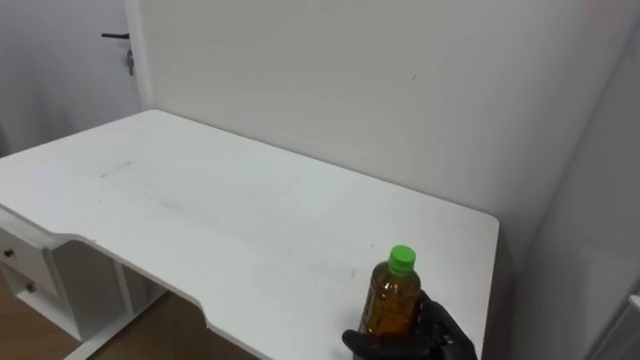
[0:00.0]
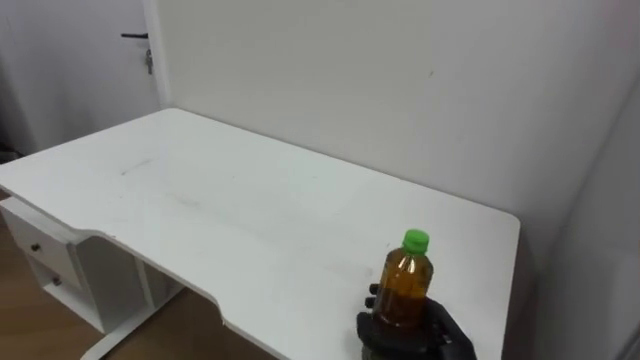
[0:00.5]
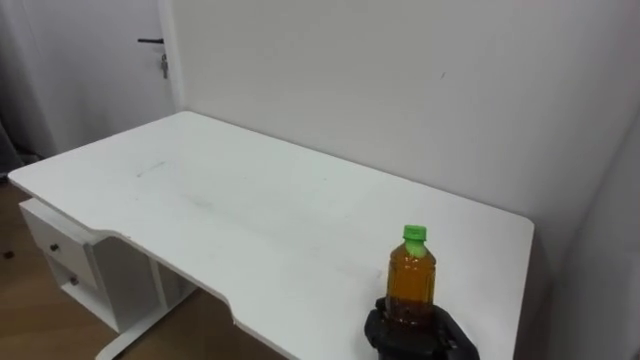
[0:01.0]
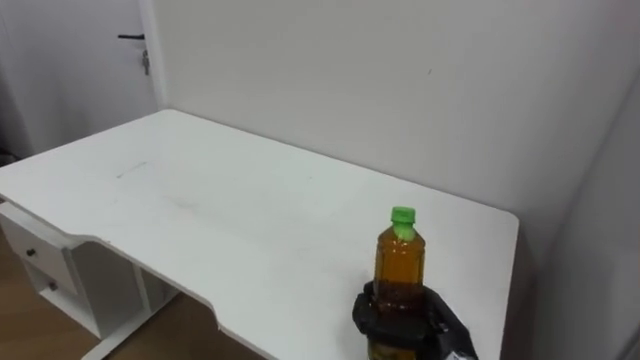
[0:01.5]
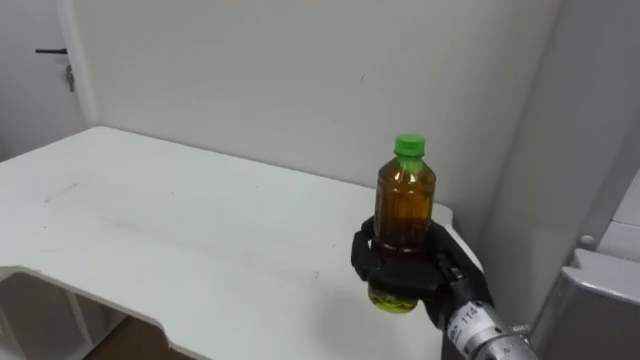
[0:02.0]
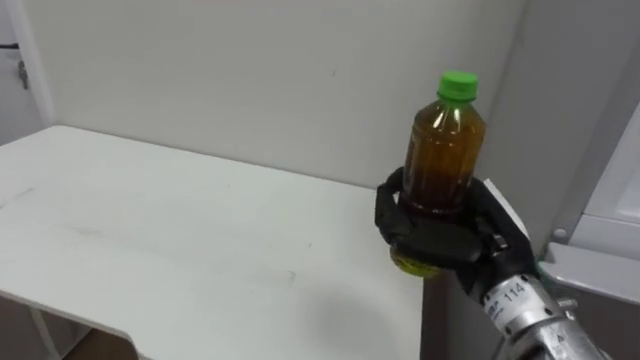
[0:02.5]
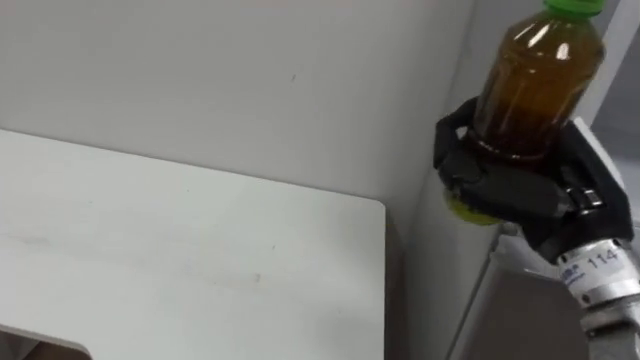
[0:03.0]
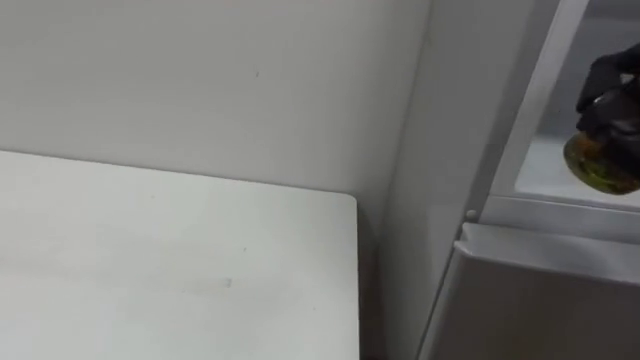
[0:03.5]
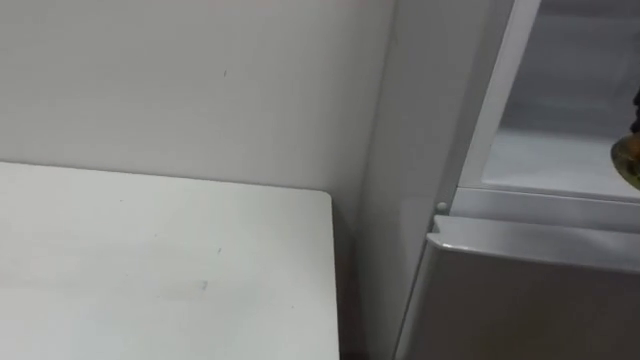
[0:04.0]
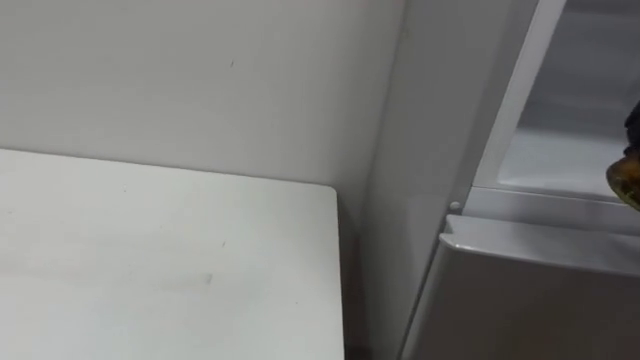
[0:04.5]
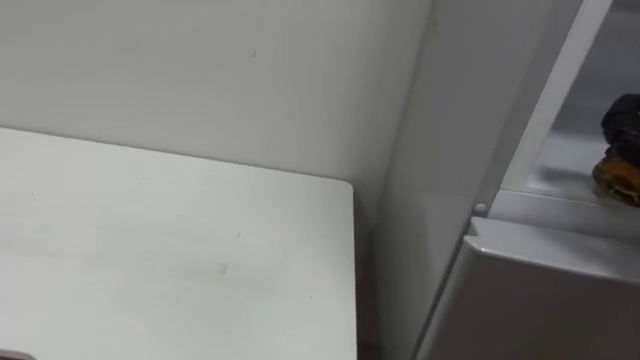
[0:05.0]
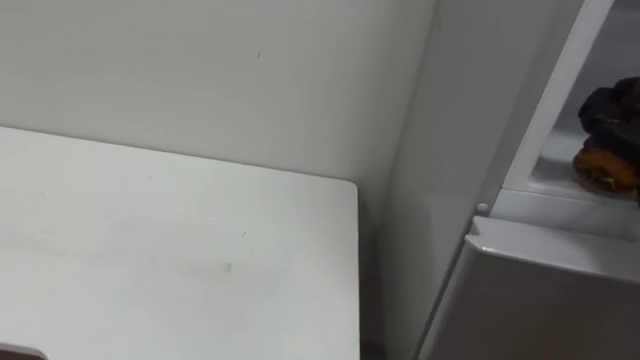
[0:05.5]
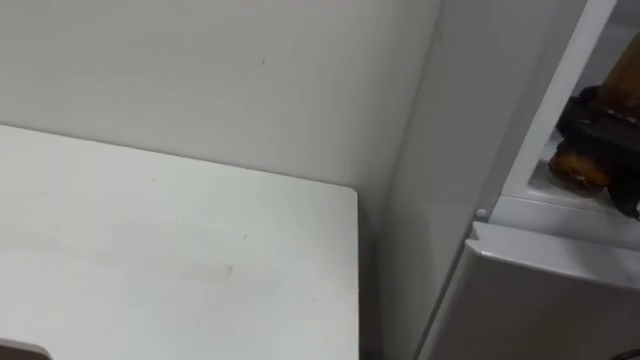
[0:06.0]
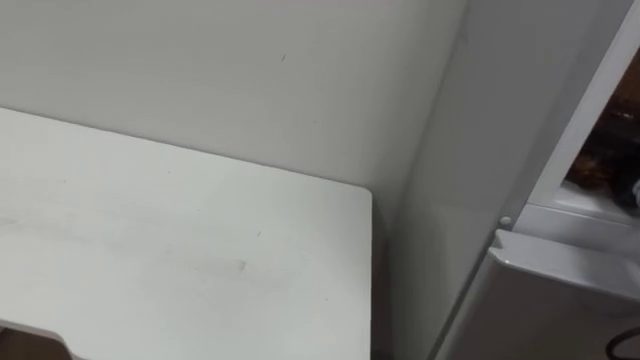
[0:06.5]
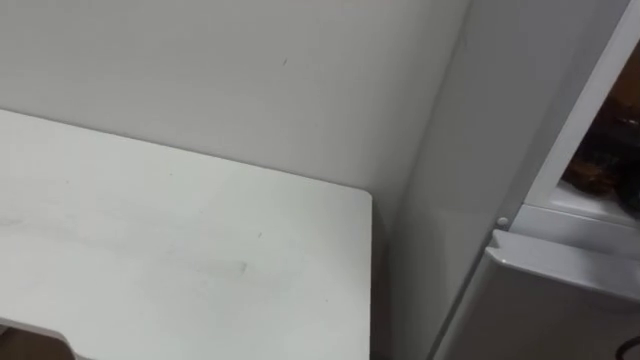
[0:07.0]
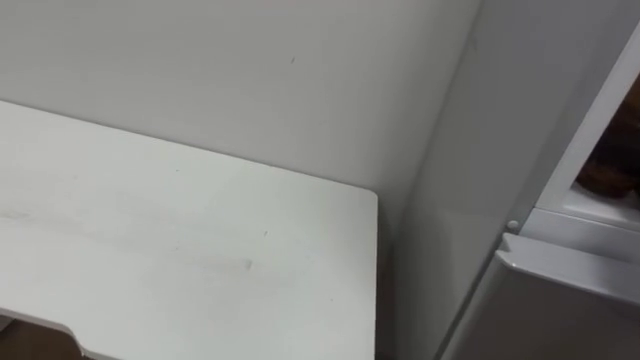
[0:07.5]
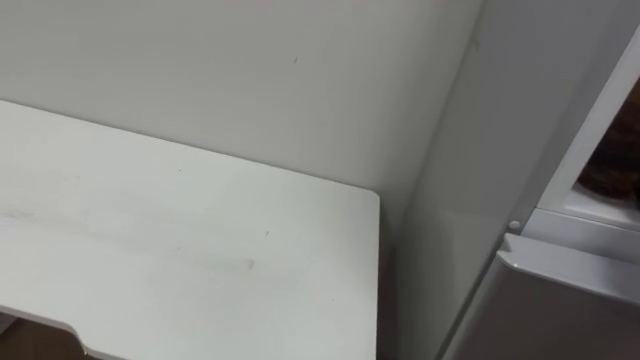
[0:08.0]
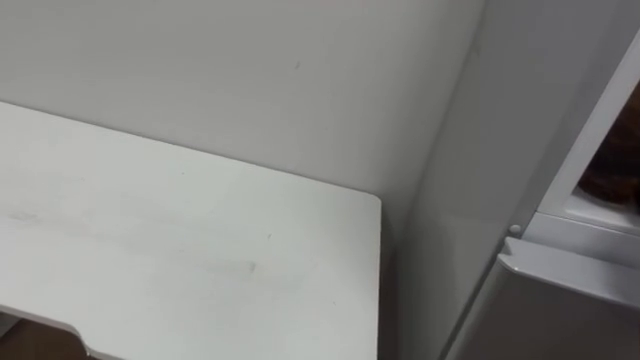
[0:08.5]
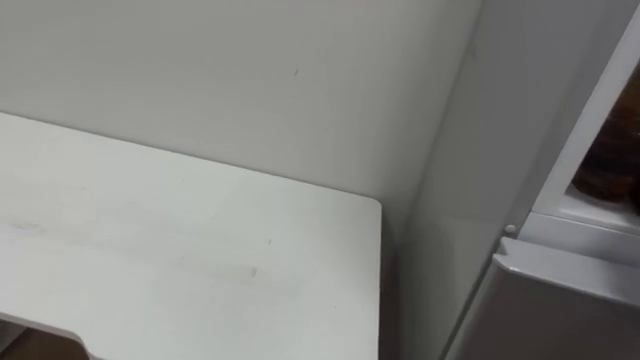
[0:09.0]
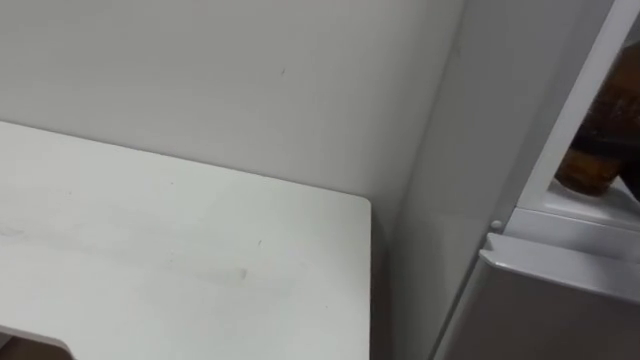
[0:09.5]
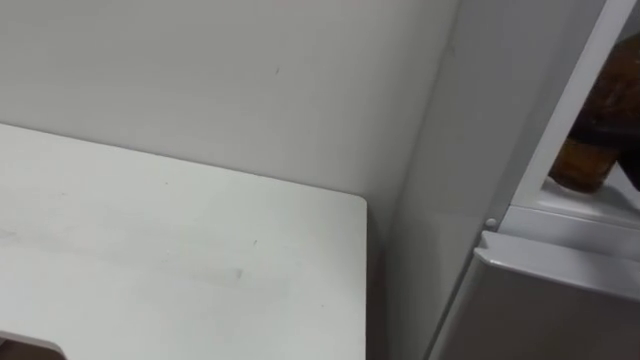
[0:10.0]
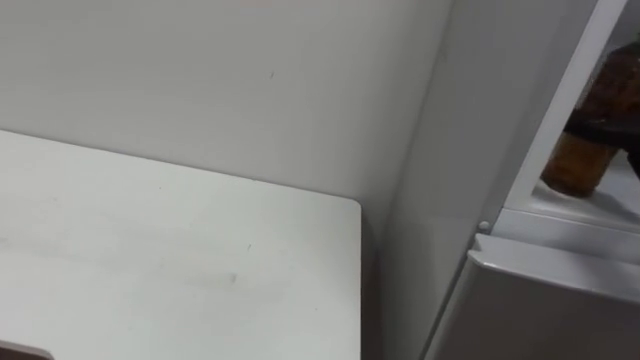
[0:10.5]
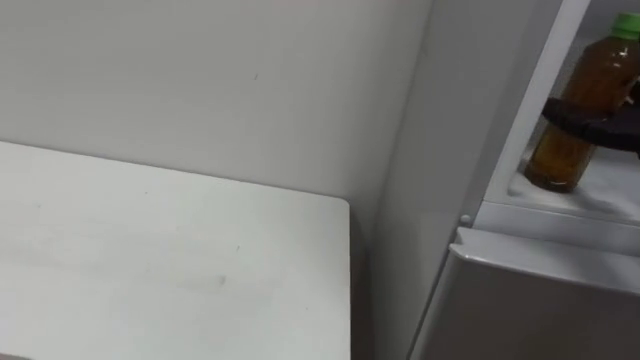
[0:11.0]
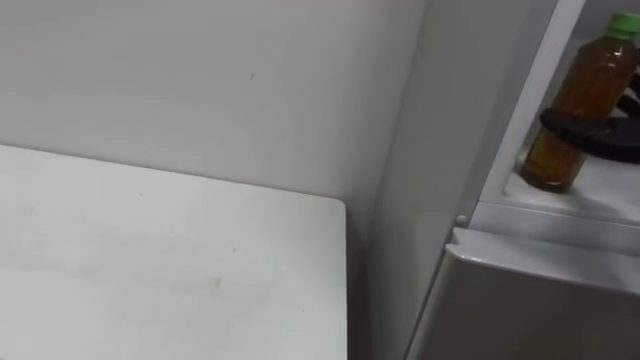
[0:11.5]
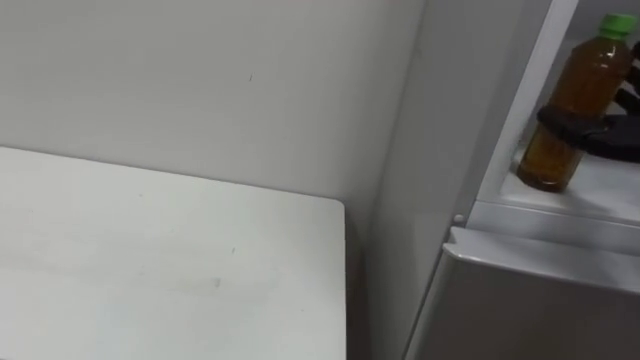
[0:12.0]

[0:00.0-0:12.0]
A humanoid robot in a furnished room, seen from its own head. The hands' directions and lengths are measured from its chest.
Task of the whole recording: Open the upper refrigerator door, put the drink from the table into the refrigerator, and then close the refrigerator door.
0:00.0 to 0:02.0: The right hand travels upward by roughly 10 cm, and closes its fingers.

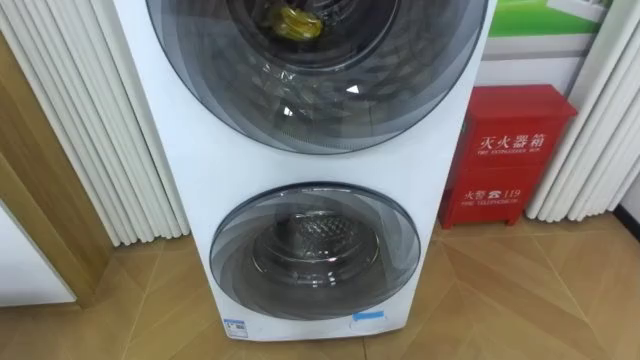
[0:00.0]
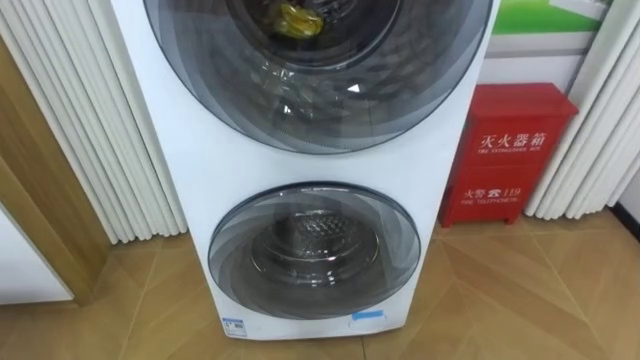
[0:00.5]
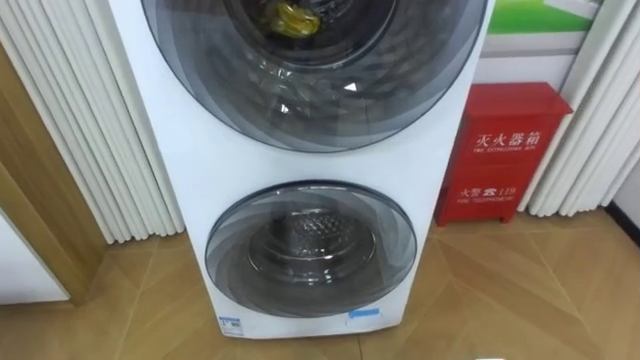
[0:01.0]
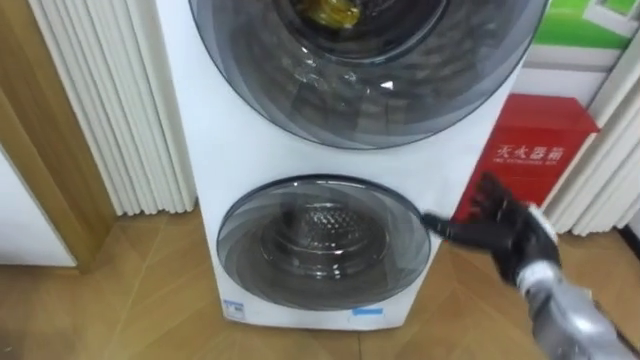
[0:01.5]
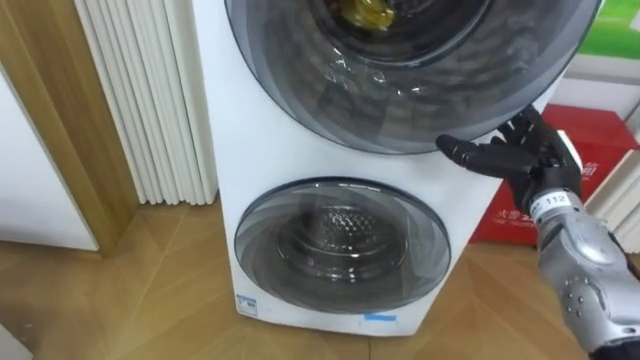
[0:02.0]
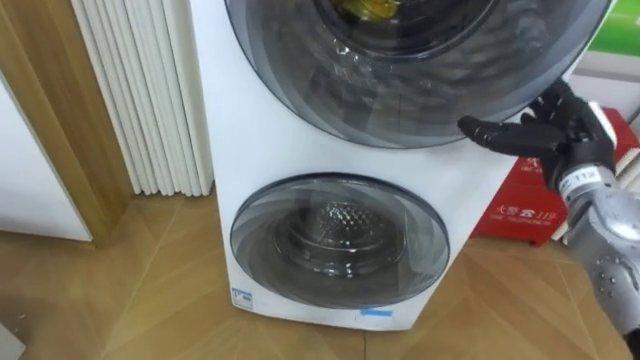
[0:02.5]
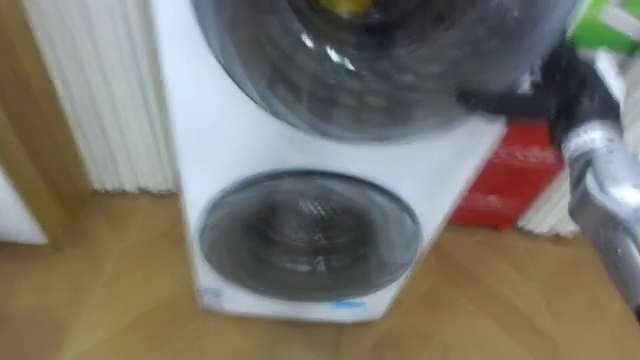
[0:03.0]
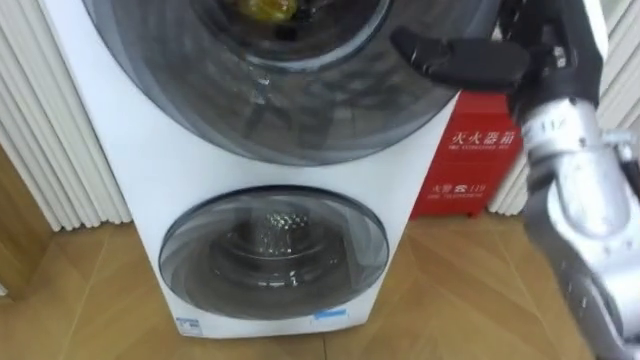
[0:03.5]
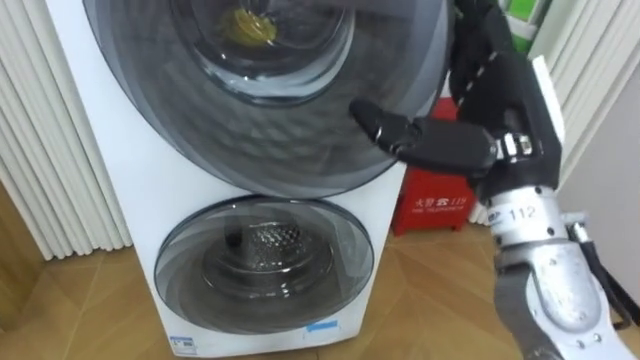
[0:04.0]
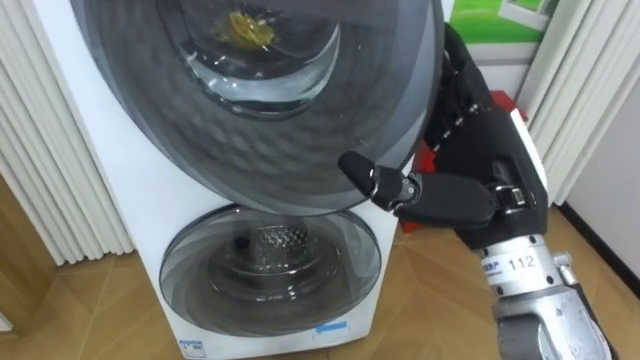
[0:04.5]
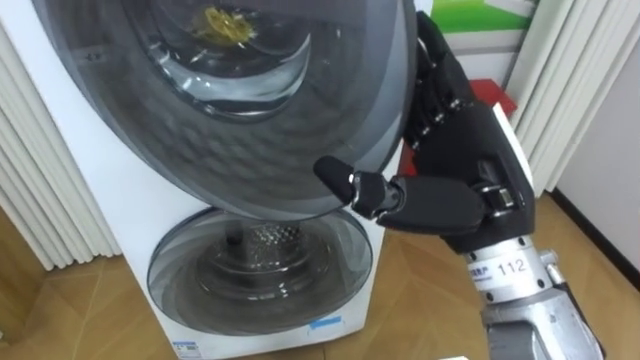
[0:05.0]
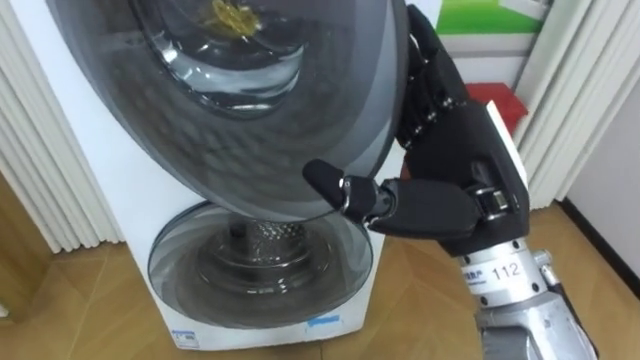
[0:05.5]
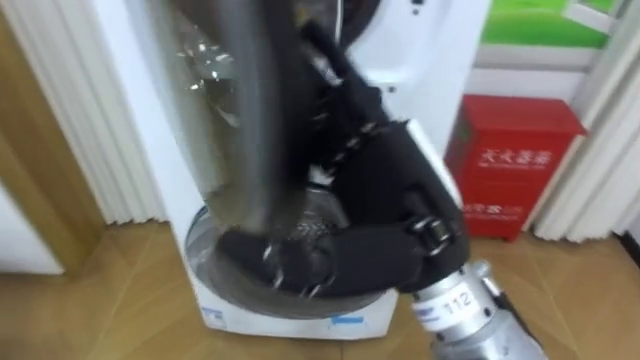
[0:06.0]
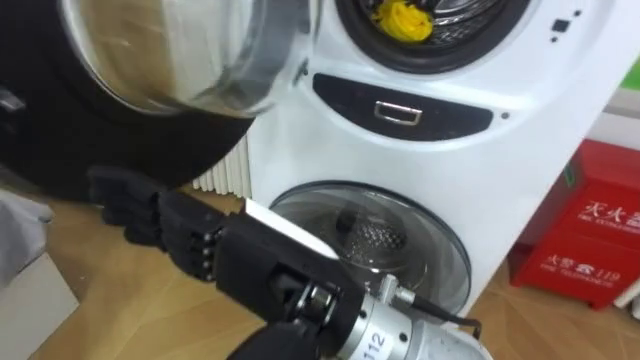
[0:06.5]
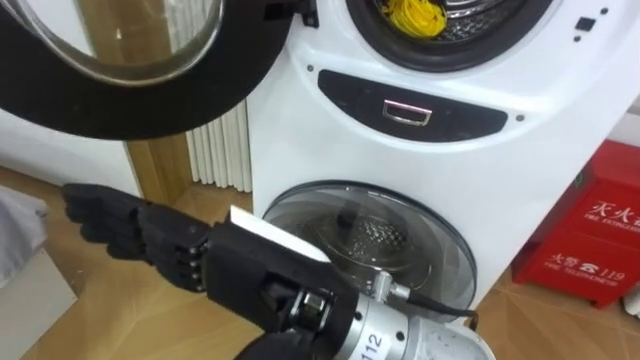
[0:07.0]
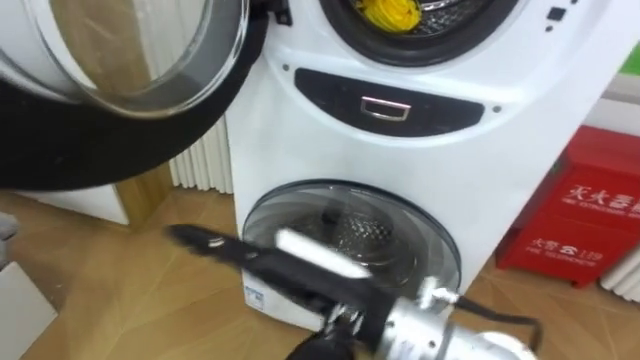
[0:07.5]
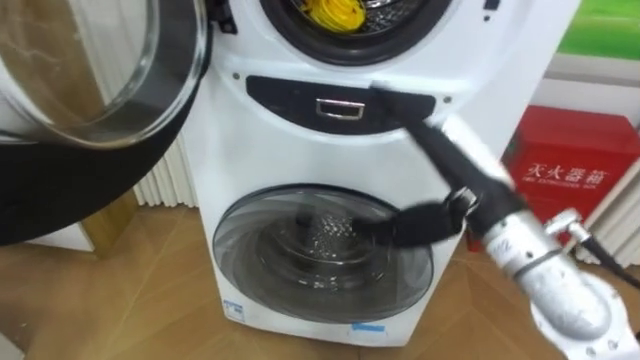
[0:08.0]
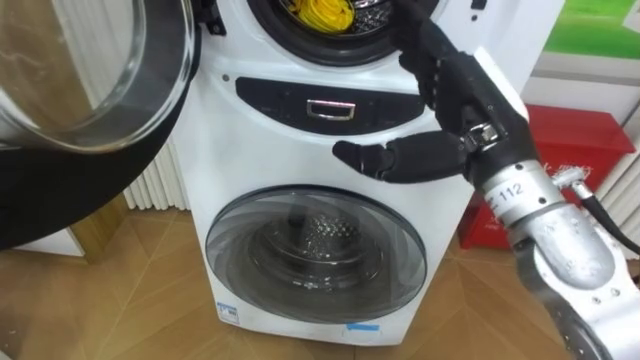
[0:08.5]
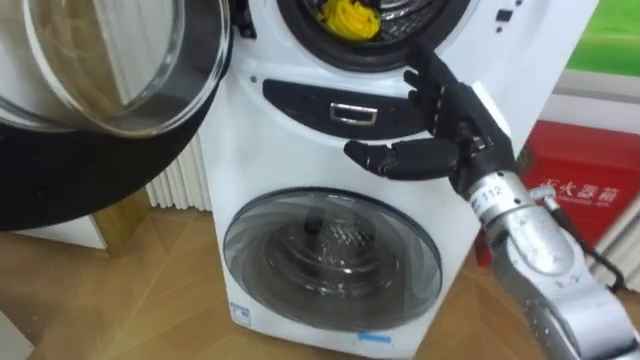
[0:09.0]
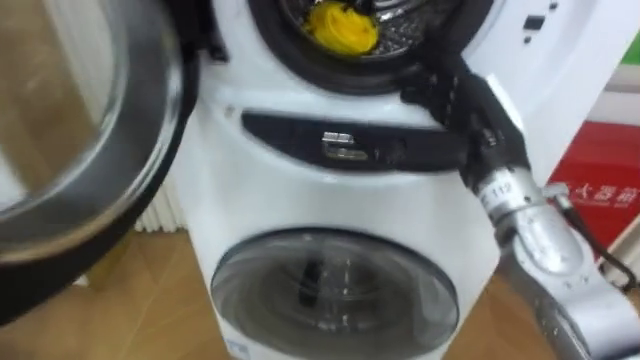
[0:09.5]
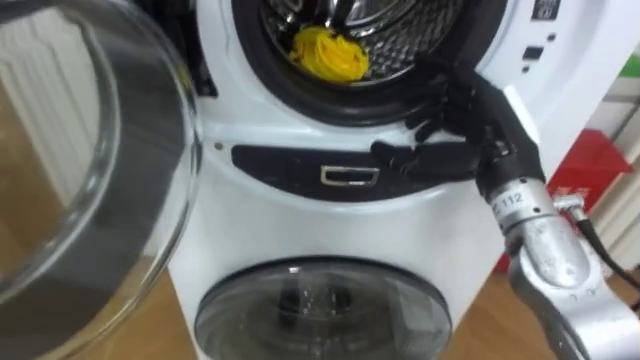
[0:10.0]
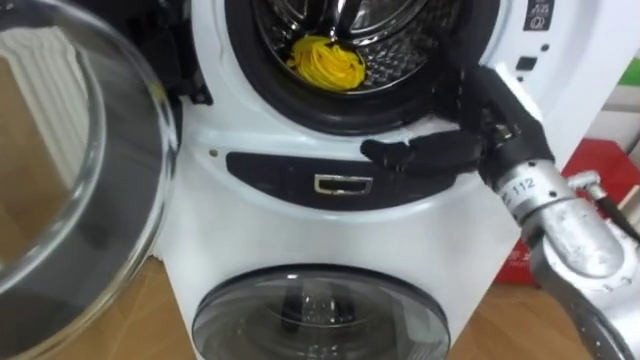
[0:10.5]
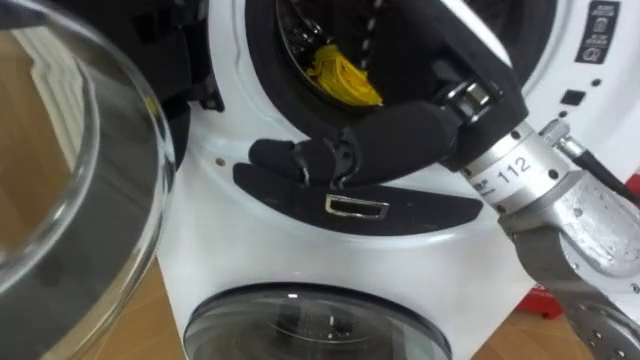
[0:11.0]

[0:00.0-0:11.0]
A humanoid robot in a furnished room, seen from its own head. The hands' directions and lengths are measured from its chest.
Task of the whole recording: Open the washing machine door, take out the yellow clothes, place them in the box on the right, and close the washing machine door.
0:02.0 to 0:03.5: The right hand goes some 20 cm upward and to the left.
0:03.5 to 0:05.5: The right hand goes roughly 10 cm backward, to the left and downward.
0:05.5 to 0:07.5: The right hand shifts about 15 cm to the left, downward and backward.
0:07.5 to 0:09.0: The right hand travels to the right and forward by roughly 20 cm.
0:09.0 to 0:11.0: The right hand moves upward, backward and to the left, roughly 15 cm.
